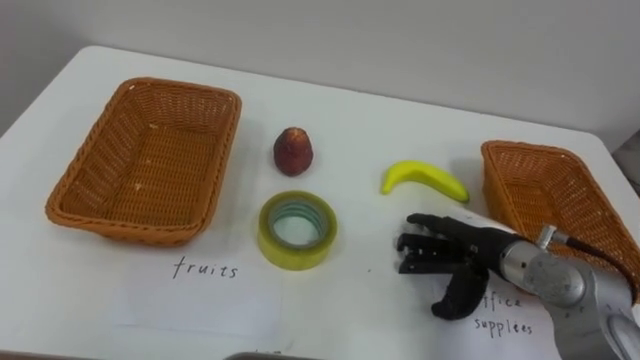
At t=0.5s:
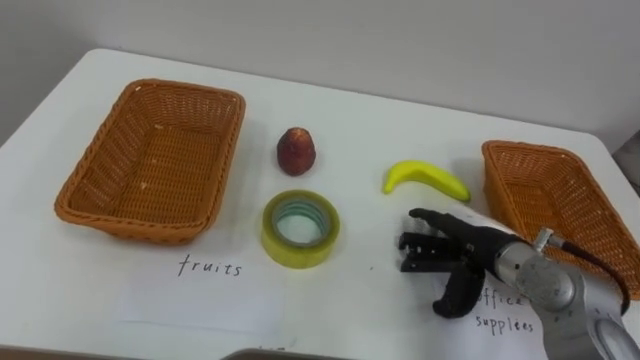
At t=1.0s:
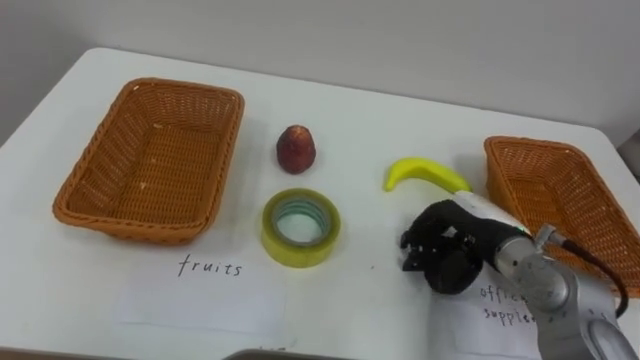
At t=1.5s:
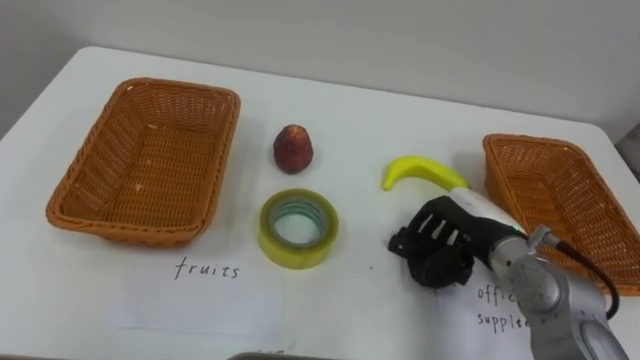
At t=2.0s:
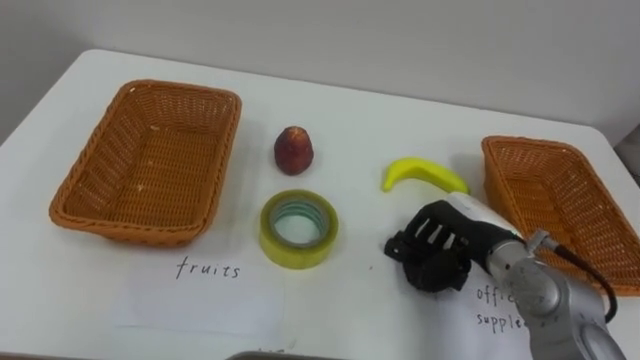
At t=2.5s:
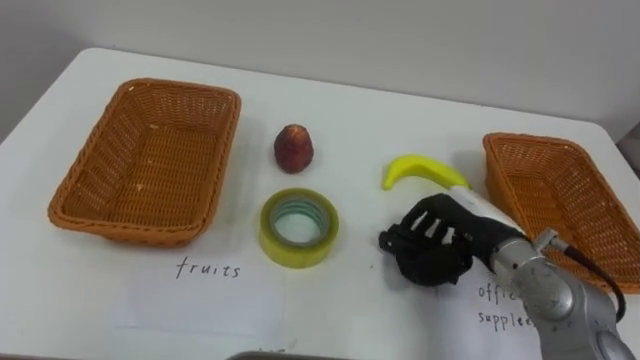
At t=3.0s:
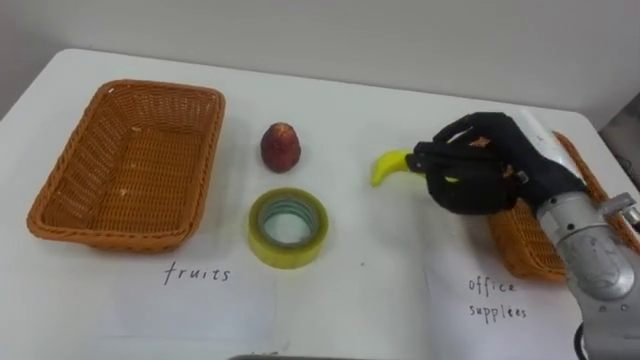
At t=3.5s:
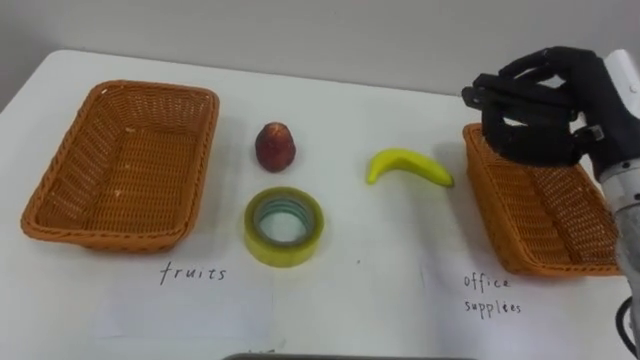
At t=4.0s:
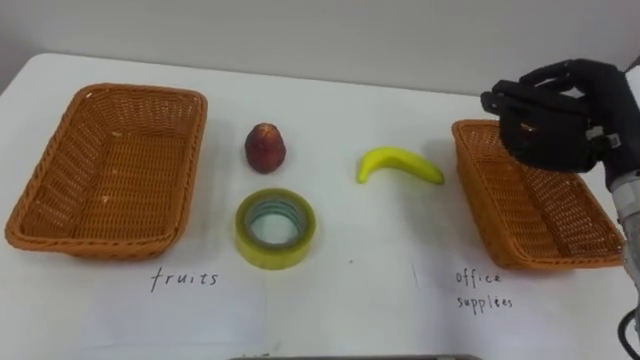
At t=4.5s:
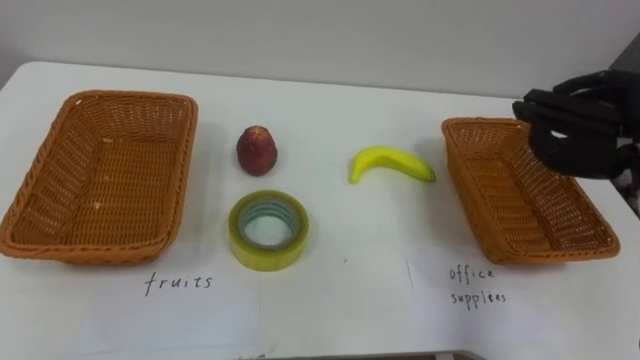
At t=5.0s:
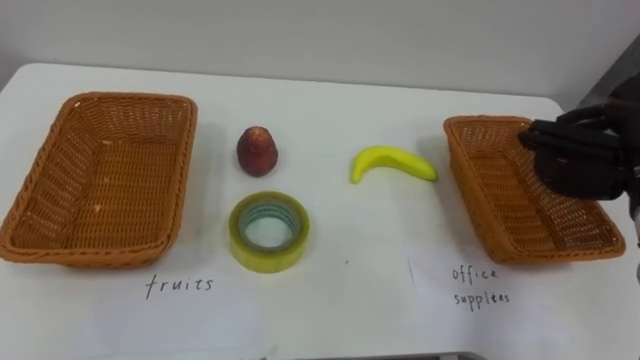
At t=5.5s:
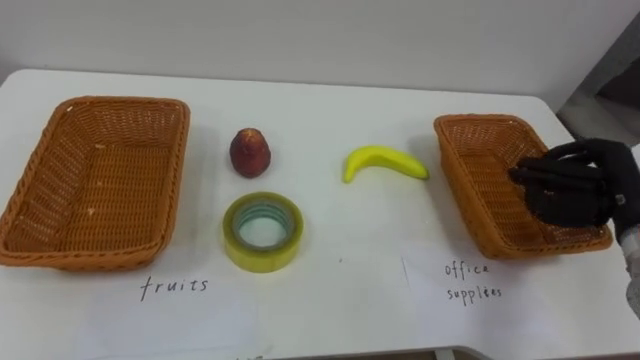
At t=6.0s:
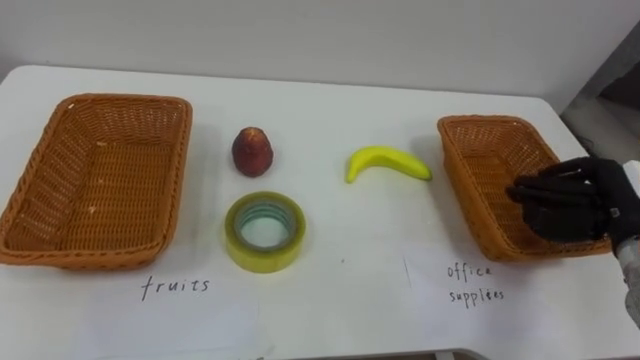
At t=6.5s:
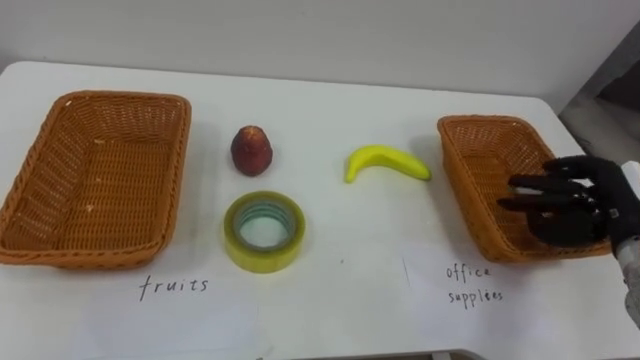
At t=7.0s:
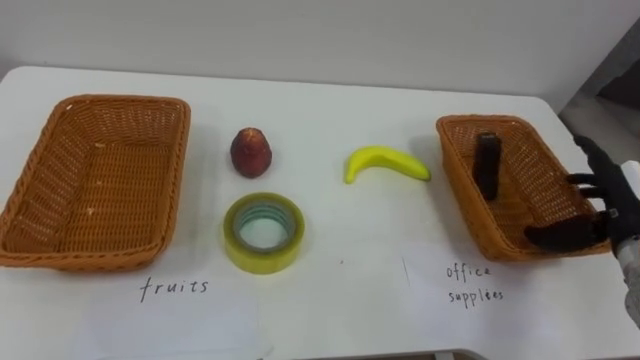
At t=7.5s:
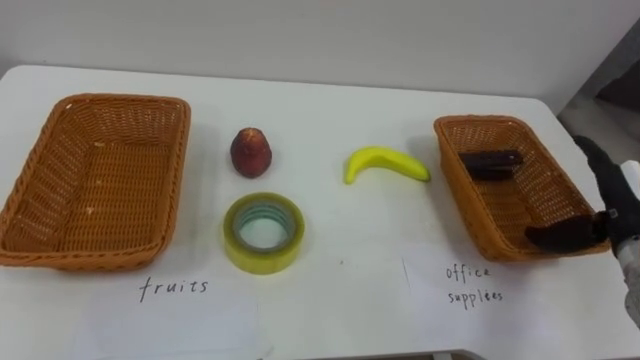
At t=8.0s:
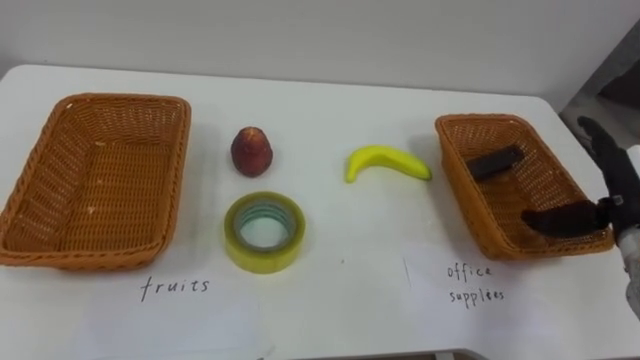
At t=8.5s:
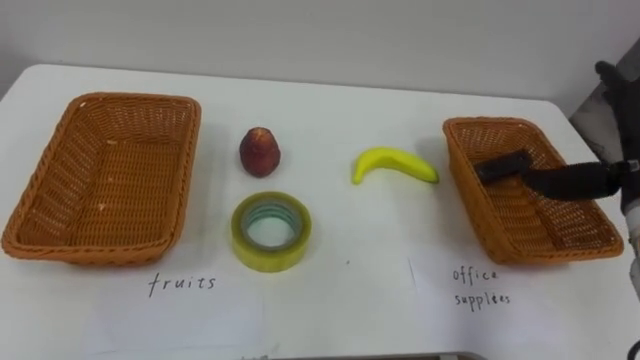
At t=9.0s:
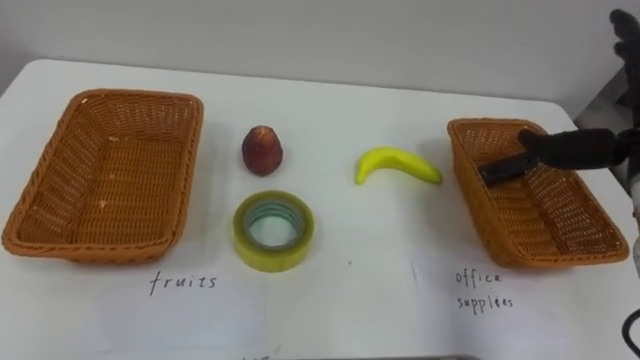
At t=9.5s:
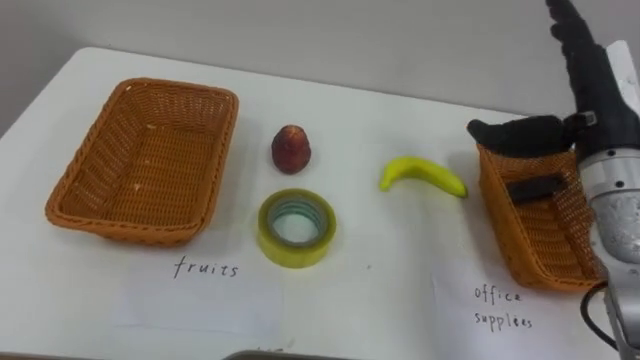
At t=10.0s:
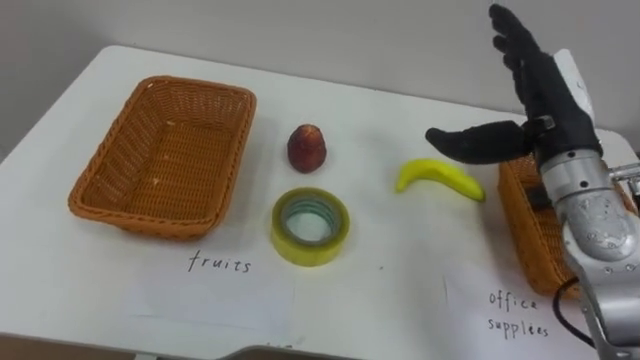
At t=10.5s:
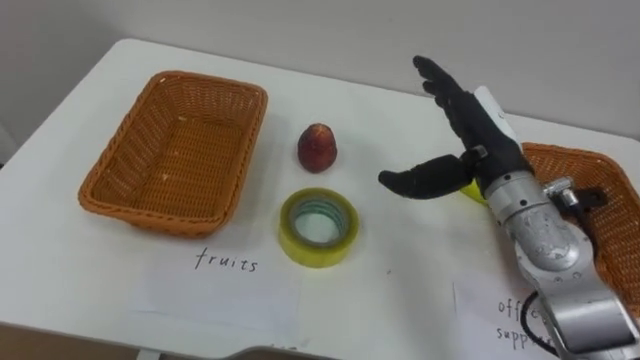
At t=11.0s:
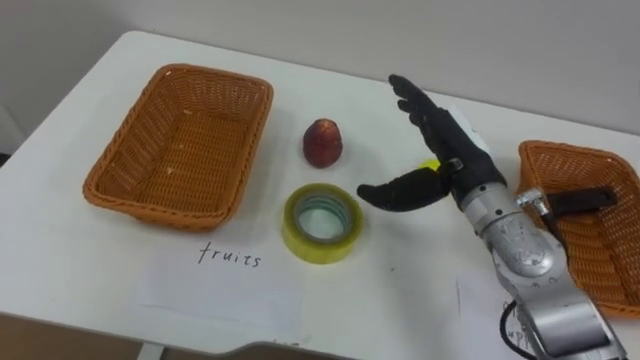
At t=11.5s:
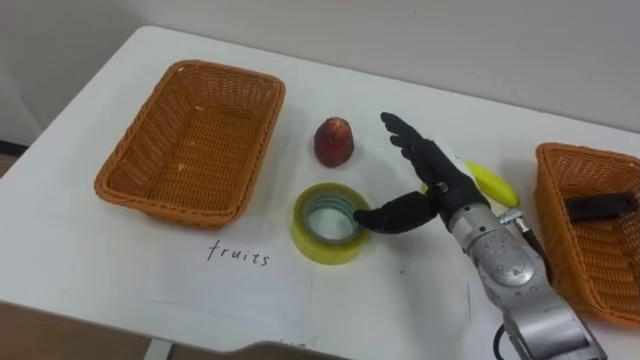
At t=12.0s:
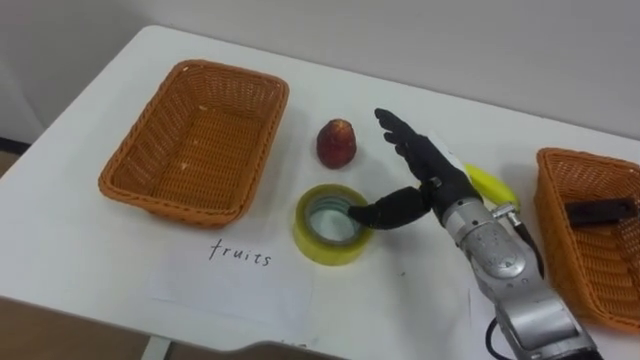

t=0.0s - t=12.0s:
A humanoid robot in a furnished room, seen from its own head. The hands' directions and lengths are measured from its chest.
Task of the whole recording: Separate the items on the table and place them into the two baskets.
t=0.0s - t=2.0s: The right hand closes its fingers.
t=2.0s - t=4.0s: The right hand is displaced upward and to the right by some 20 cm.
t=6.0s - t=8.0s: The right hand opens its fingers.
t=10.0s - t=12.0s: The right hand moves downward and to the left, some 15 cm.

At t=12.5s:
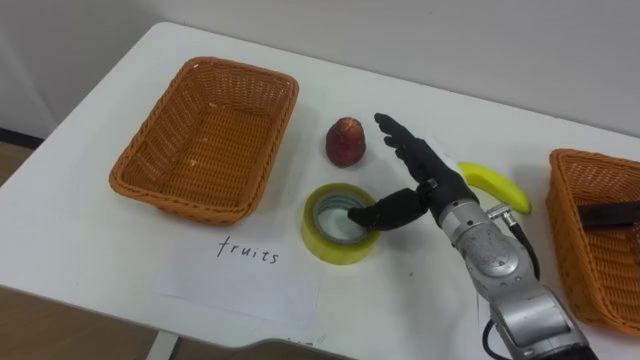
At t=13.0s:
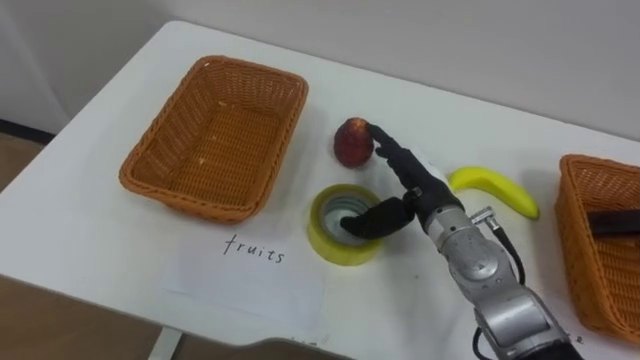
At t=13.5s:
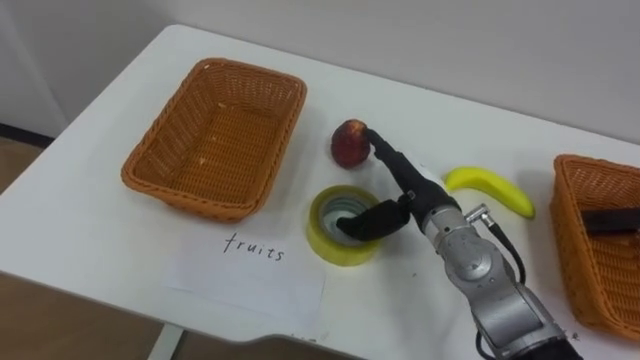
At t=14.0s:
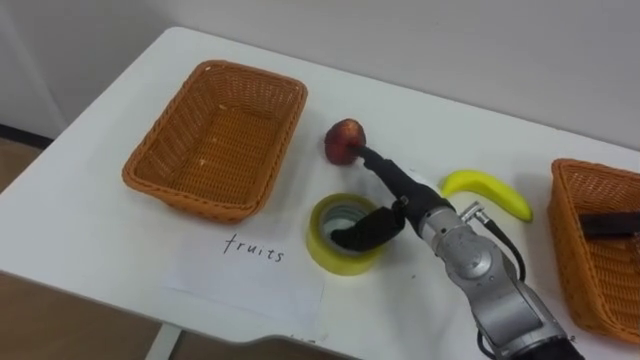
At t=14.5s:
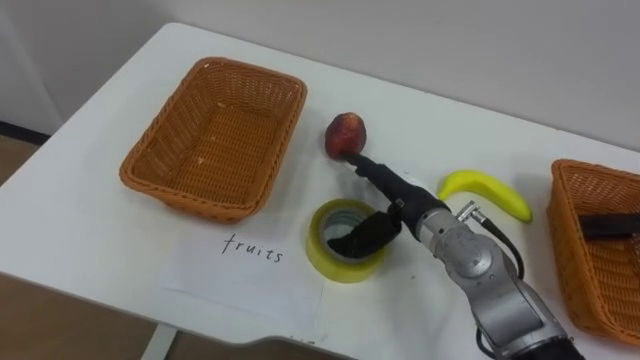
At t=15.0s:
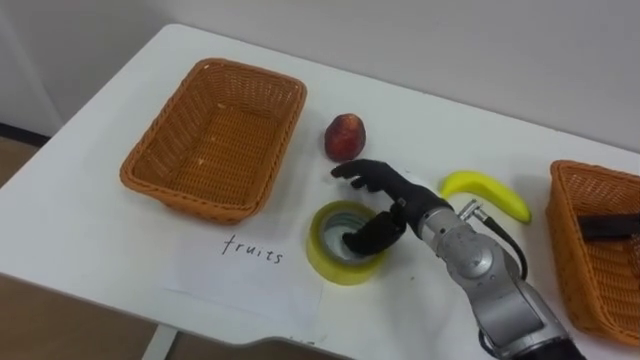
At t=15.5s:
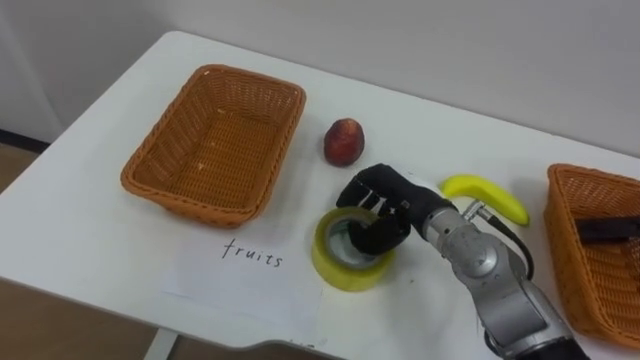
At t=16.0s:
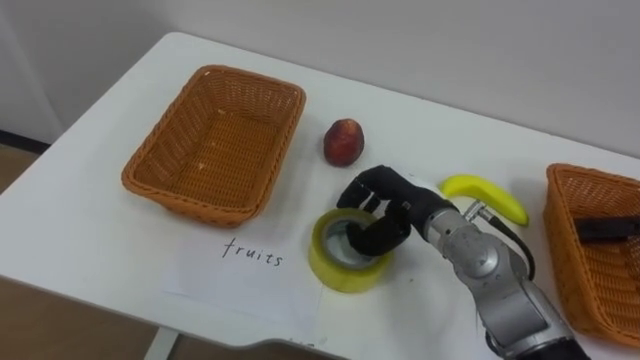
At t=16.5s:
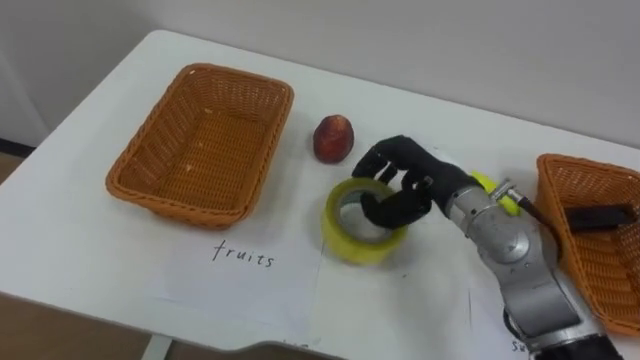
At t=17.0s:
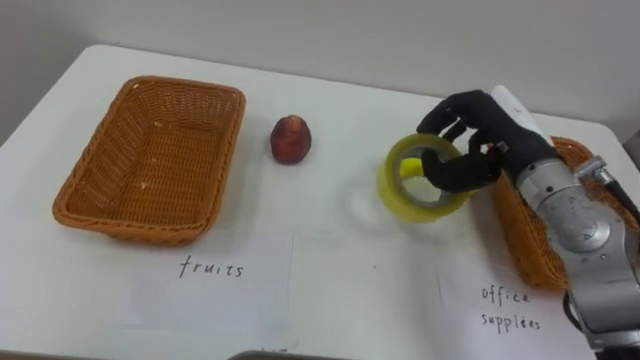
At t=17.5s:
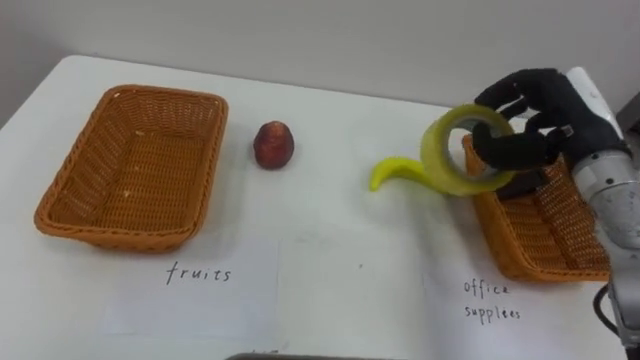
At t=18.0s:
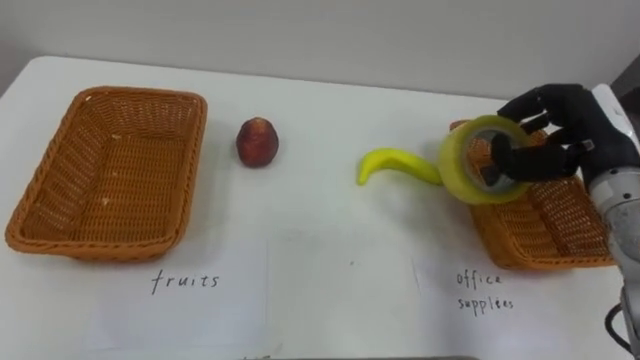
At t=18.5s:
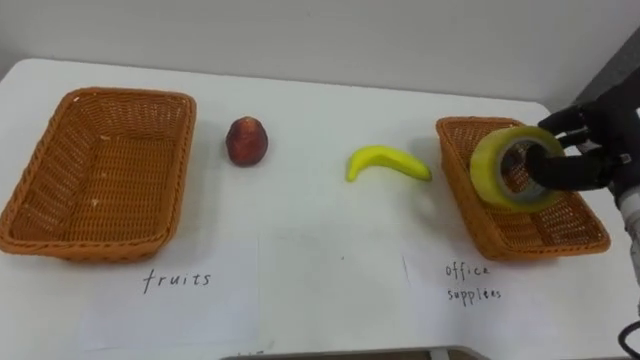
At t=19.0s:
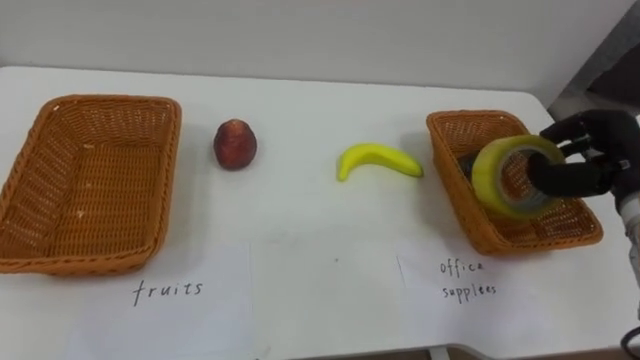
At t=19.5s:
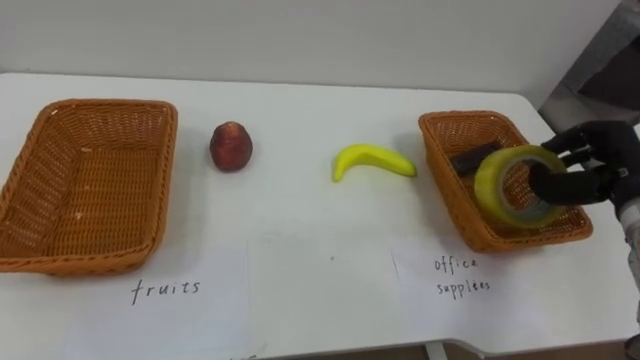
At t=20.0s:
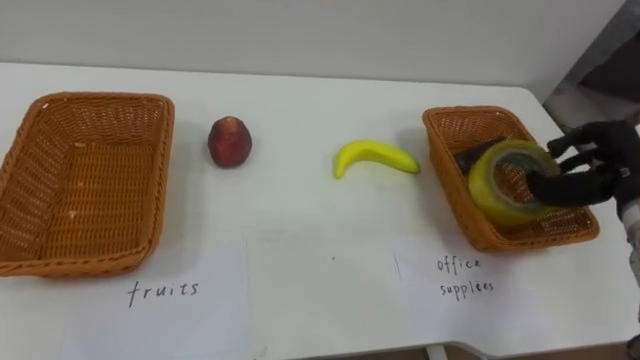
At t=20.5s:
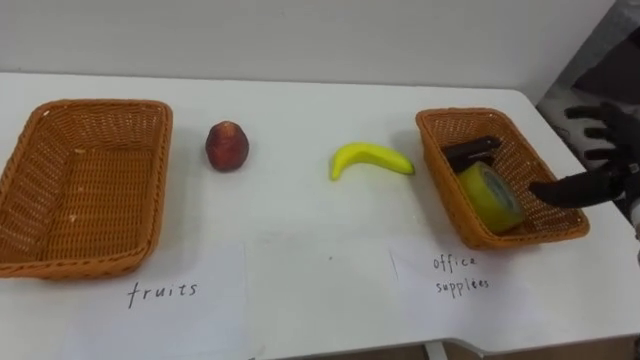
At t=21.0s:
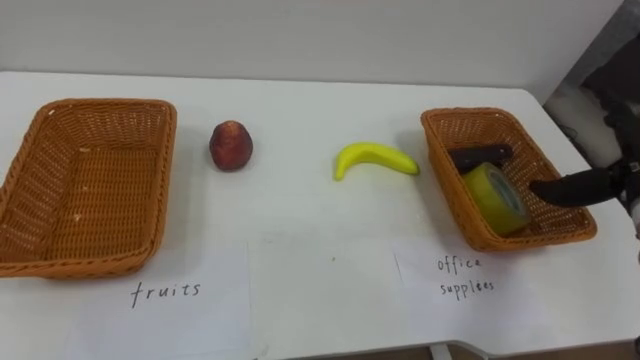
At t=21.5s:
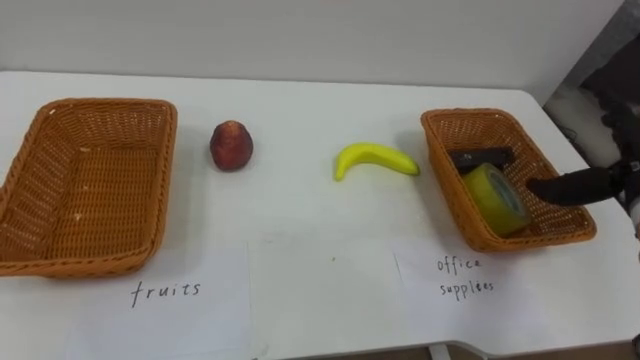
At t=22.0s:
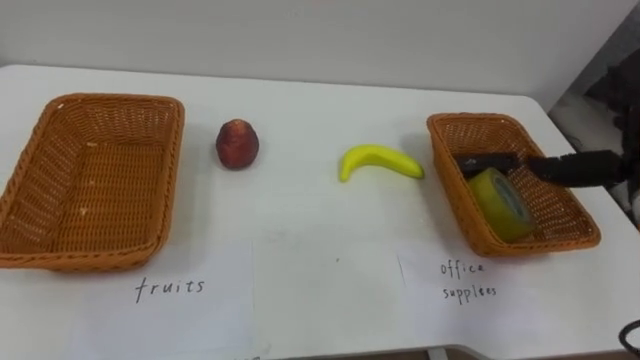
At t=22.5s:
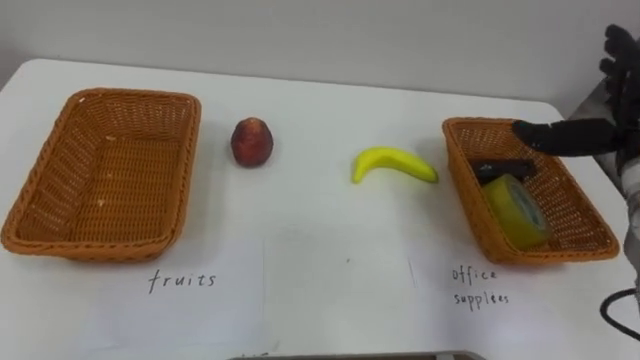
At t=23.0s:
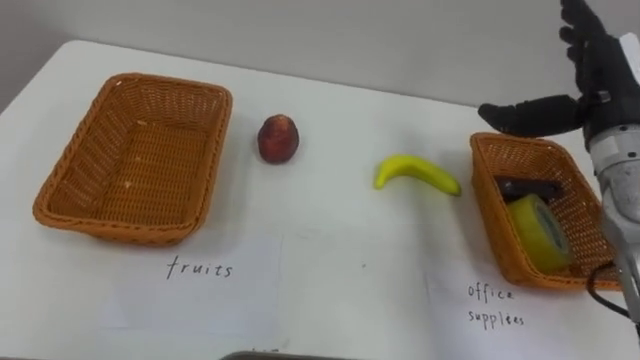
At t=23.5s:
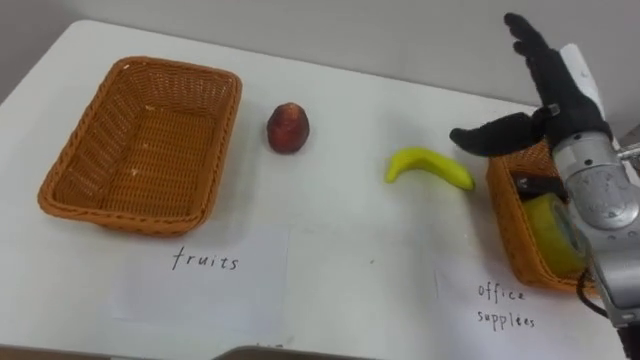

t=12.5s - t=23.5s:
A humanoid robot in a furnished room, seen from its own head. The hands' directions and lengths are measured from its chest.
Task of the whole recording: Separate the items on the table and place them into the two baskets.
t=14.5s - t=16.0s: The right hand closes.
t=16.0s - t=18.0s: The right hand goes roughly 20 cm to the right and upward.
t=18.0s - t=20.0s: The right hand moves to the right, some 5 cm.
t=20.0s - t=21.5s: The right hand opens up.
